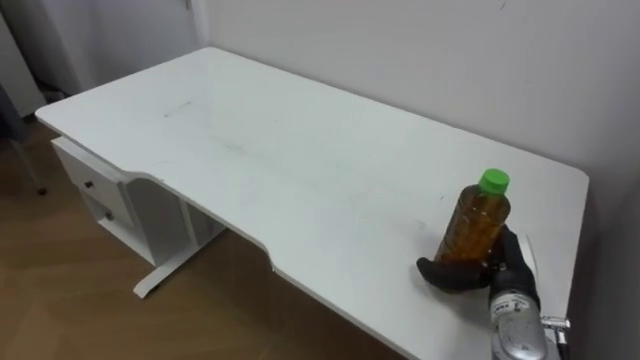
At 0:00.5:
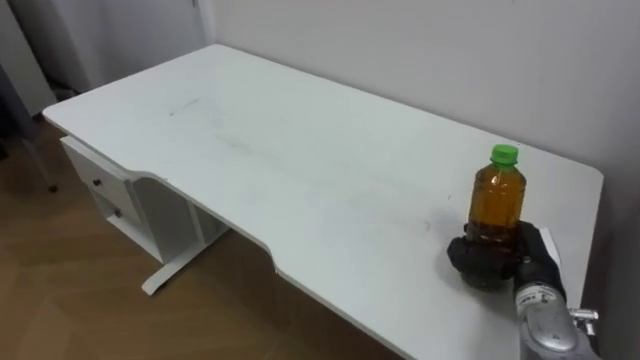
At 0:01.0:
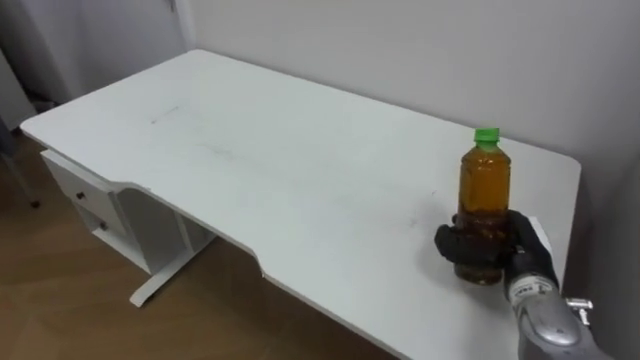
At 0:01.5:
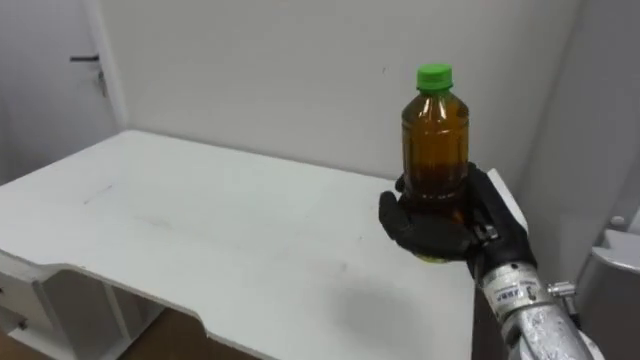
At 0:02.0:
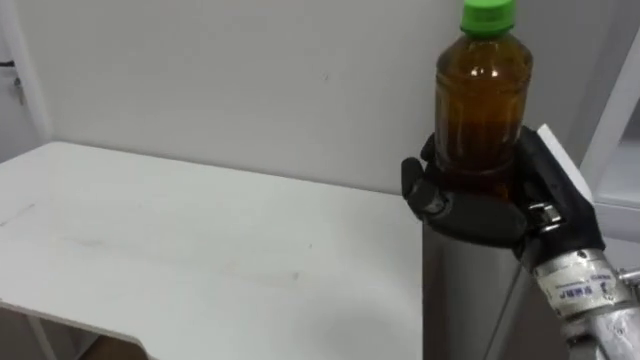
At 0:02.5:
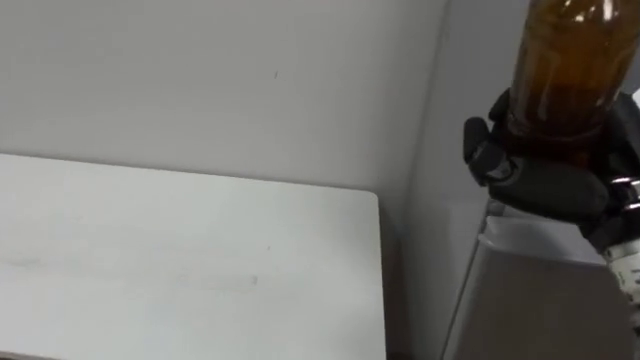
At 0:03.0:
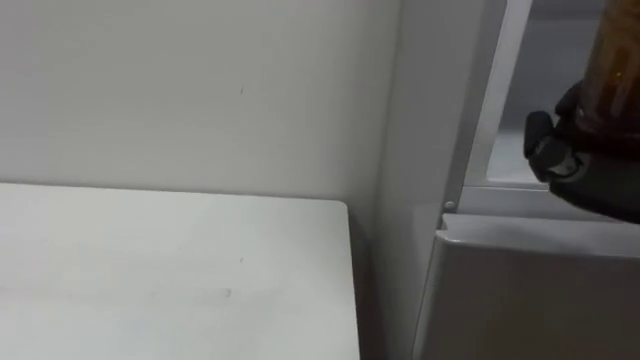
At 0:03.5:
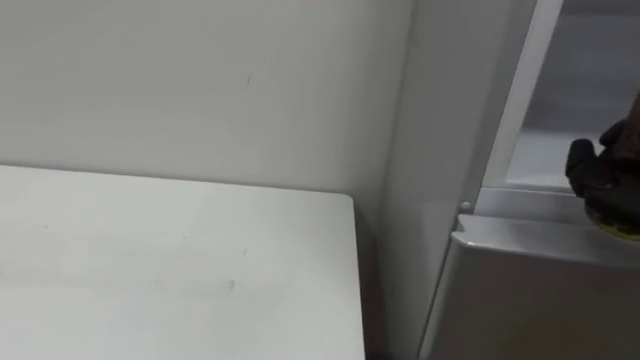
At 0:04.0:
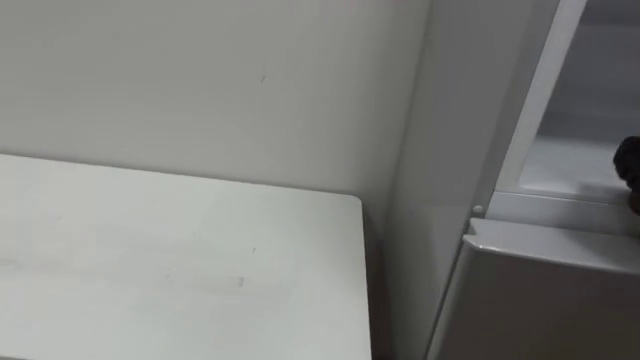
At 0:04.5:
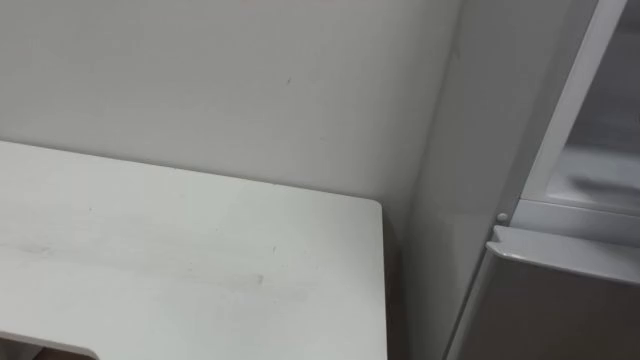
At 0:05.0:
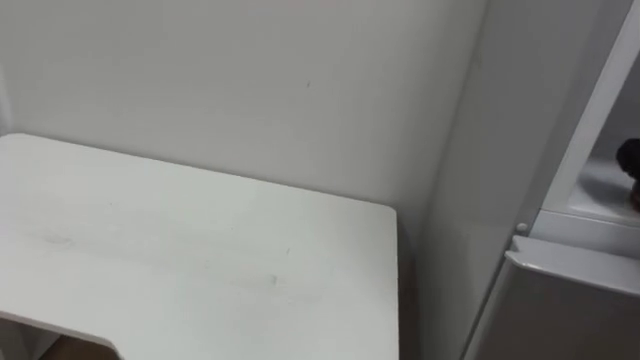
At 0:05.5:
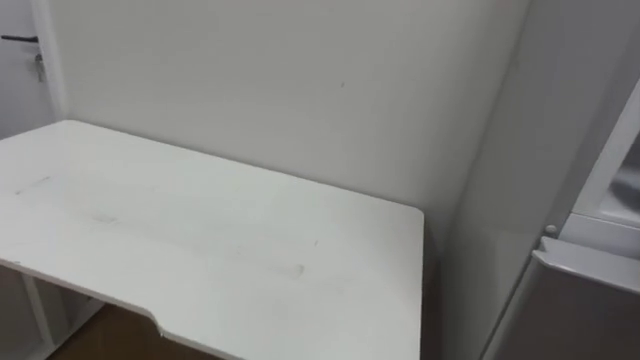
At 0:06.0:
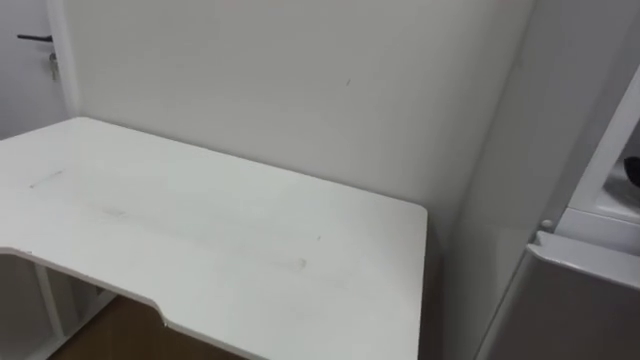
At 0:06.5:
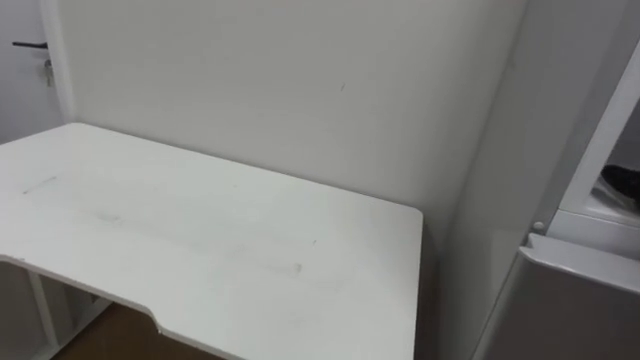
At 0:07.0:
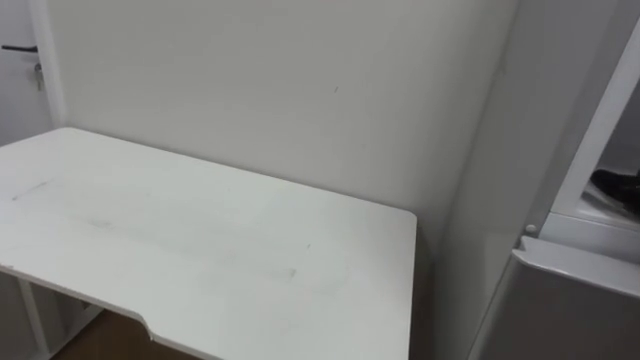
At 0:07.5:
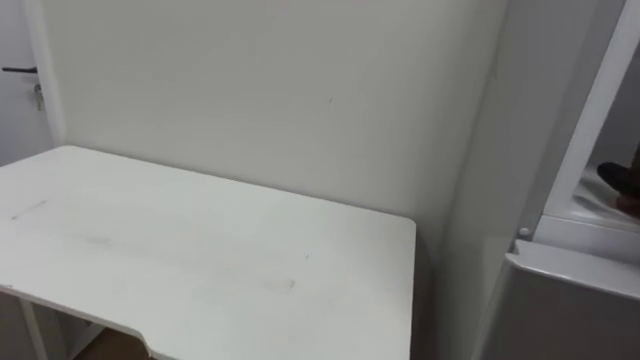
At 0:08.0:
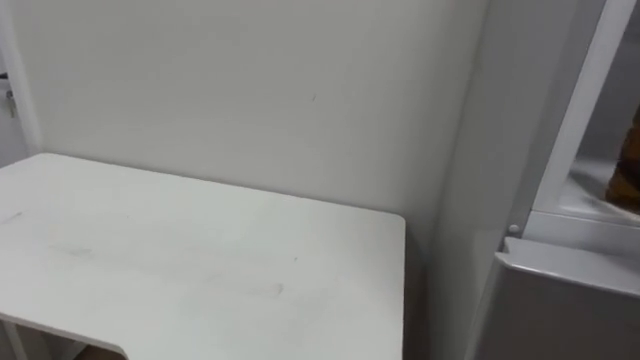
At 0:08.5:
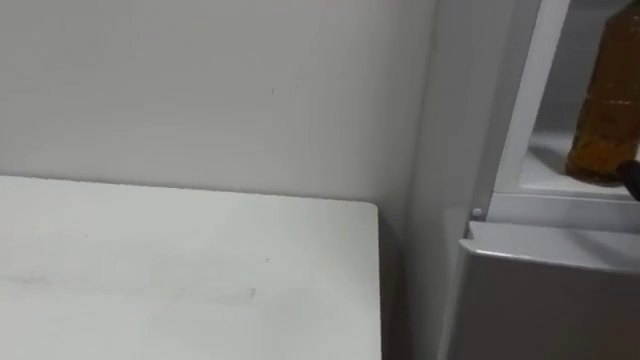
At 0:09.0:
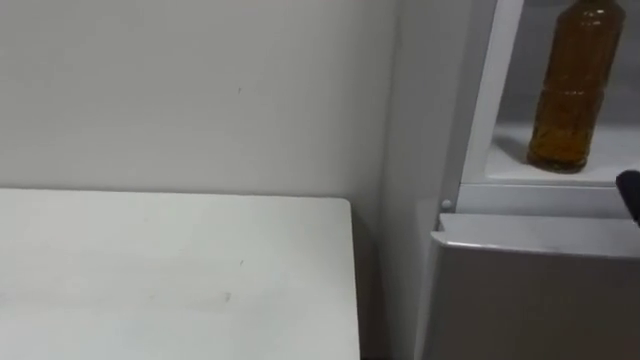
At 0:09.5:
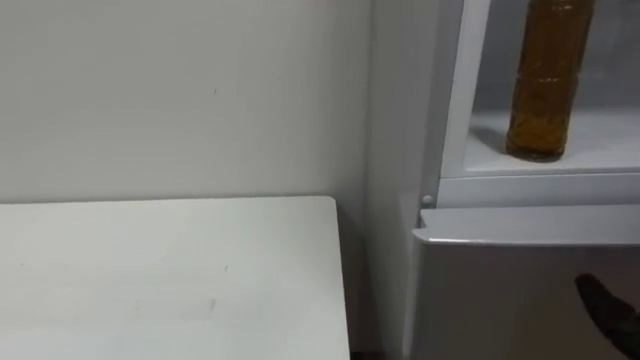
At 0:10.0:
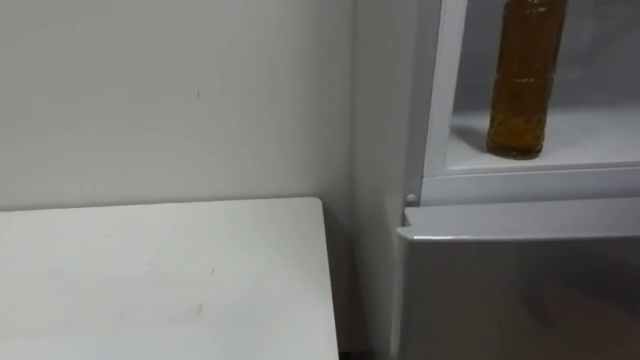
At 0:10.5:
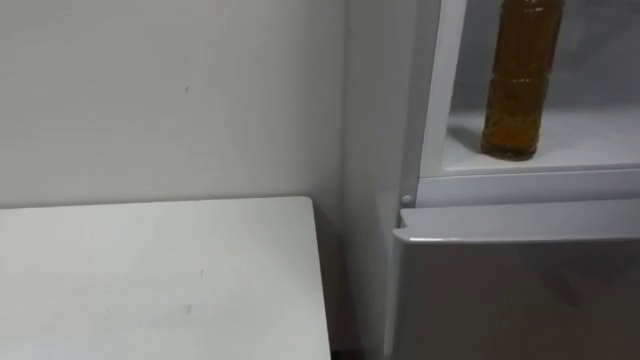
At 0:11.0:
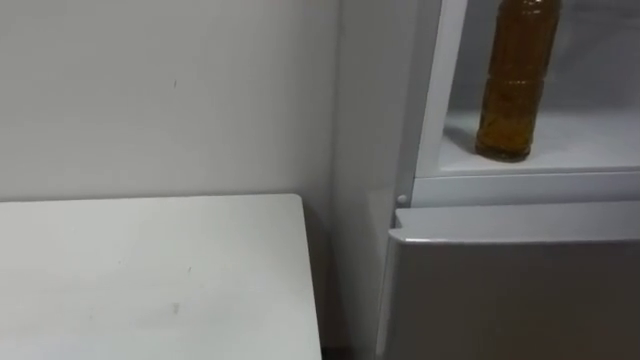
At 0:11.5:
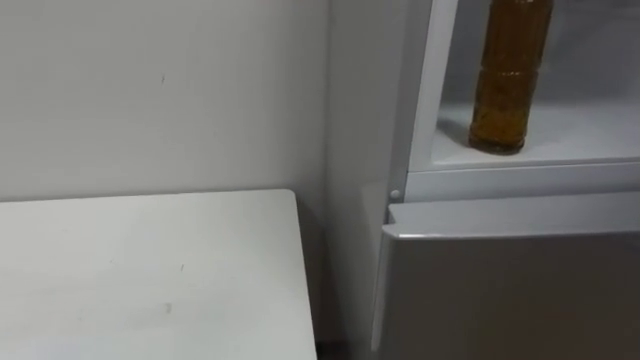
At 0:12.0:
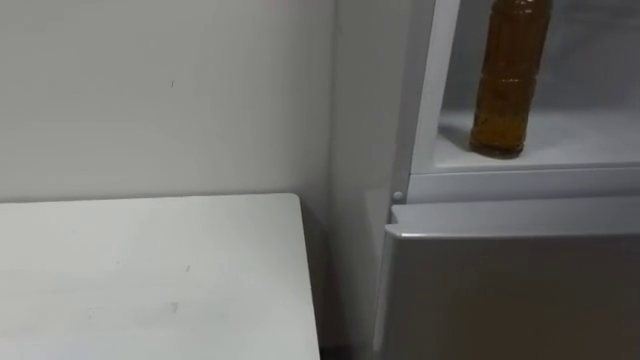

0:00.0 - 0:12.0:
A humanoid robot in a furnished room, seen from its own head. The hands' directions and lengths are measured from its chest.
Task of the whole recording: Open the upper refrigerator door, put the drink from the table into the refrigerator, and then close the refrigerator door.
0:00.0 - 0:02.0: The right hand goes some 20 cm upward and backward, and closes up.

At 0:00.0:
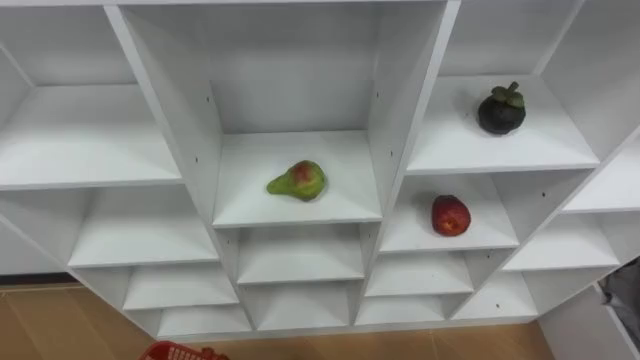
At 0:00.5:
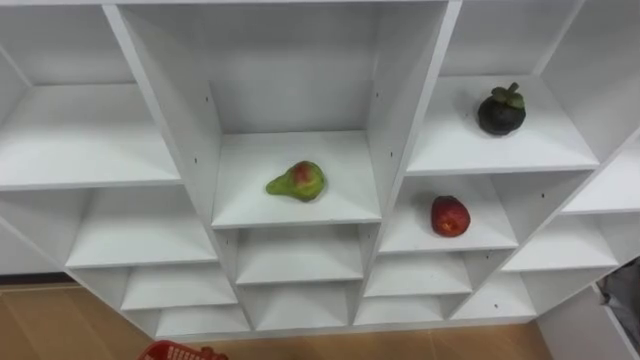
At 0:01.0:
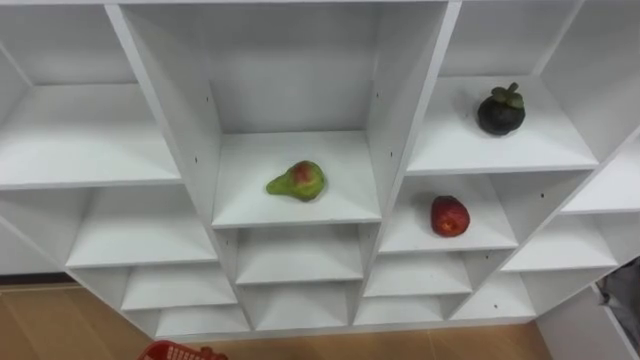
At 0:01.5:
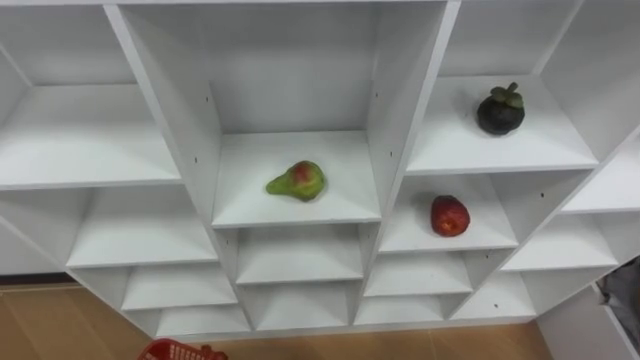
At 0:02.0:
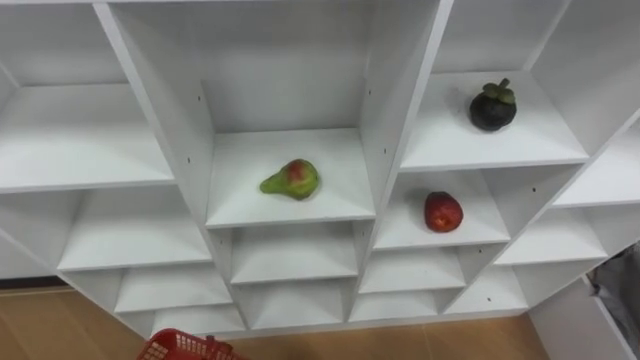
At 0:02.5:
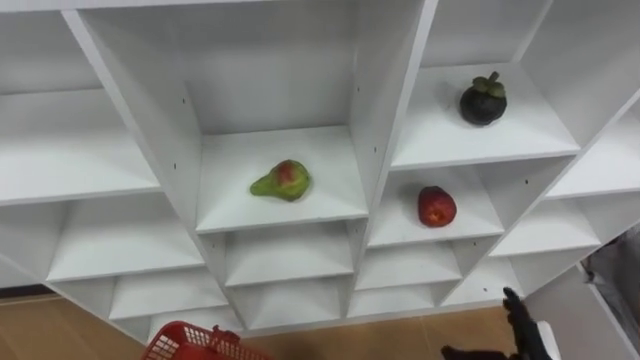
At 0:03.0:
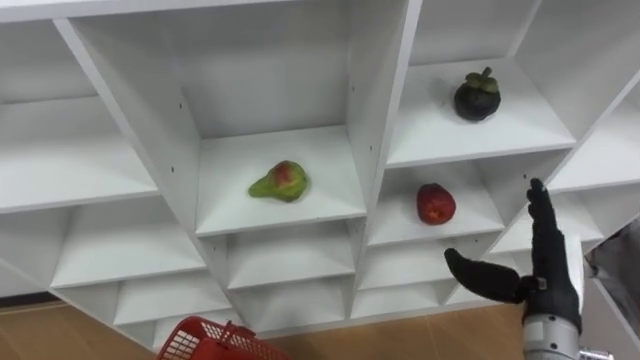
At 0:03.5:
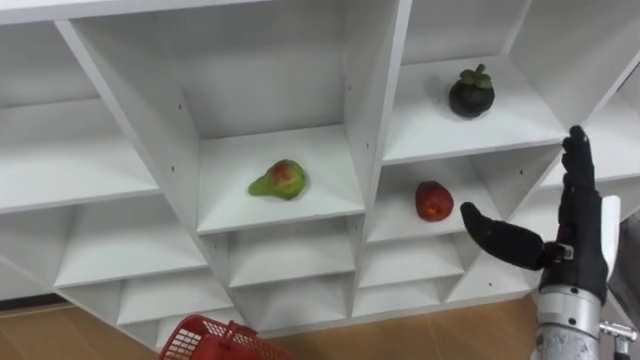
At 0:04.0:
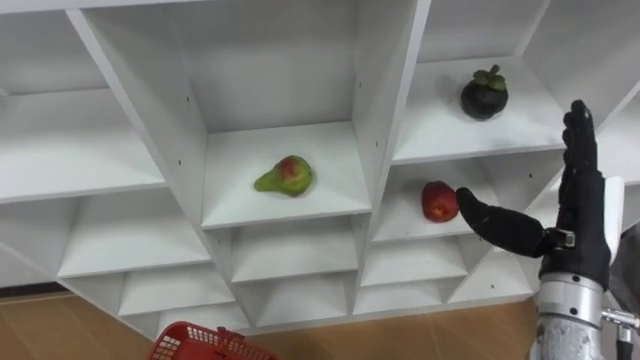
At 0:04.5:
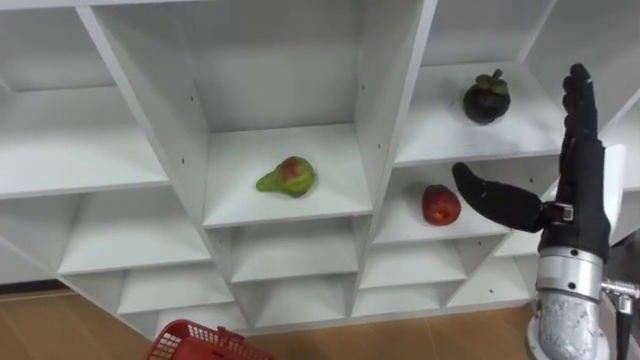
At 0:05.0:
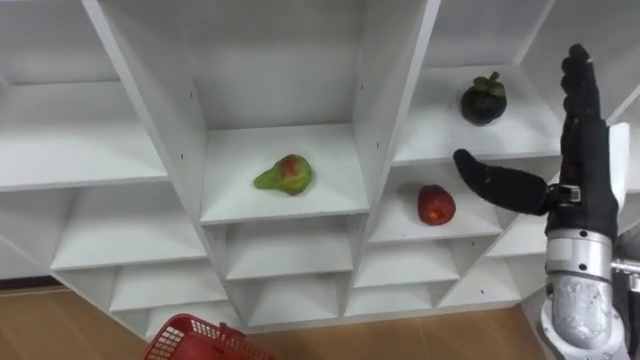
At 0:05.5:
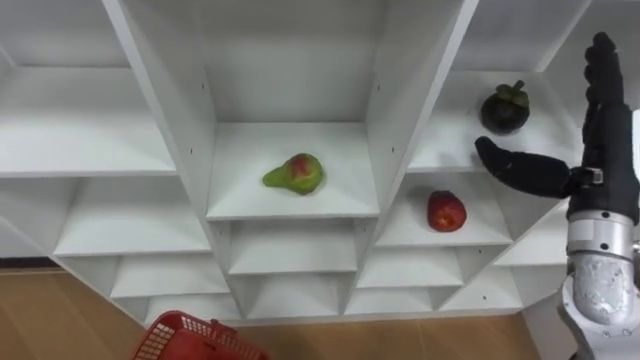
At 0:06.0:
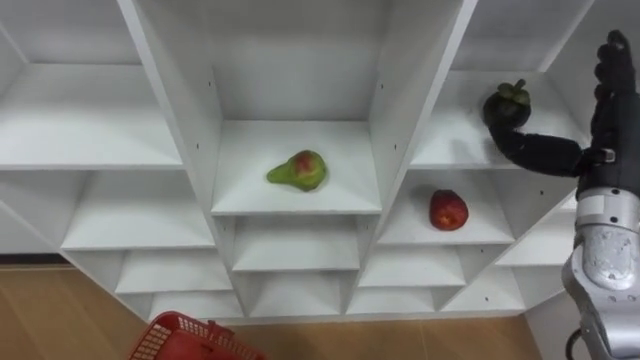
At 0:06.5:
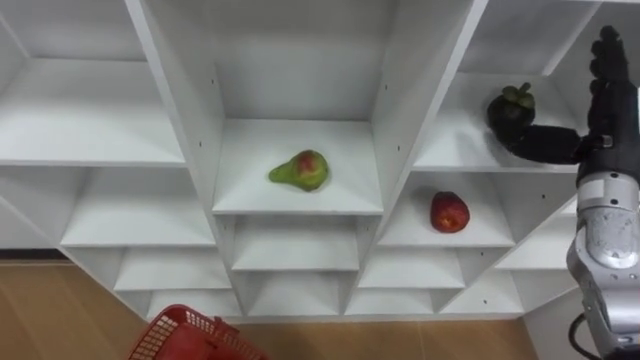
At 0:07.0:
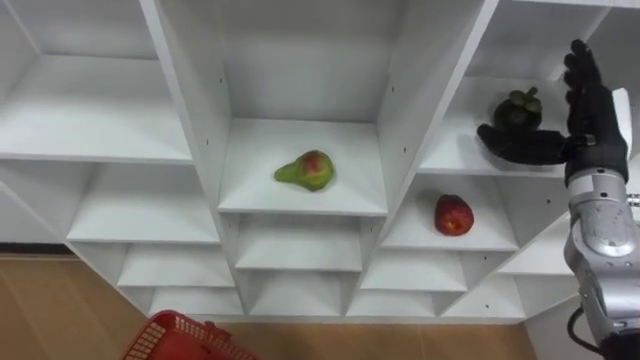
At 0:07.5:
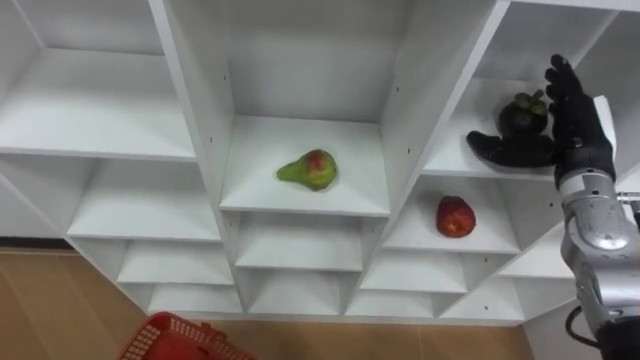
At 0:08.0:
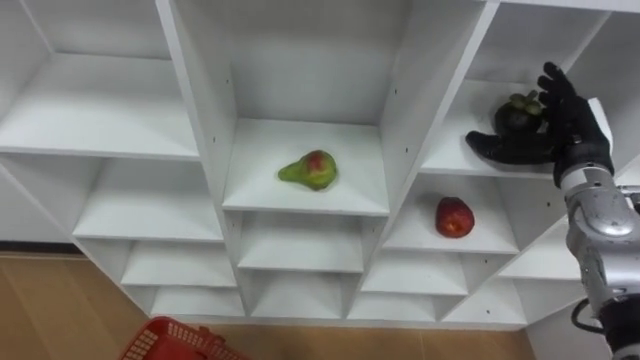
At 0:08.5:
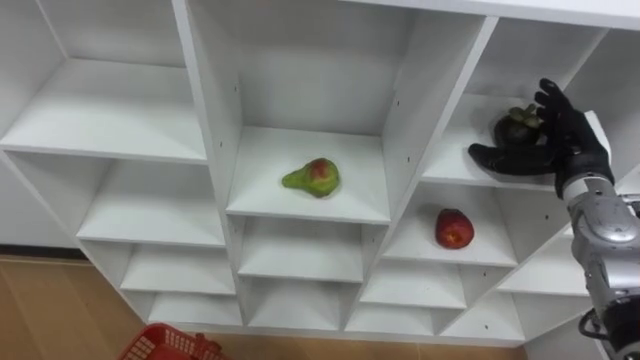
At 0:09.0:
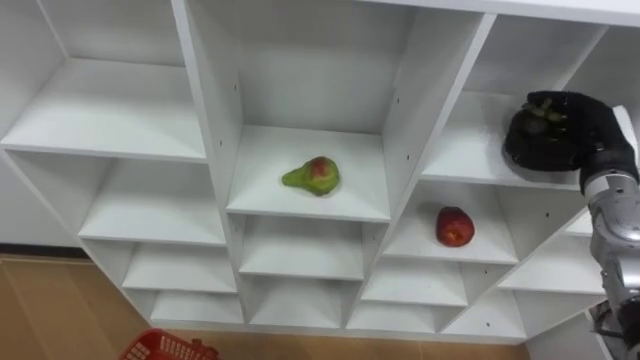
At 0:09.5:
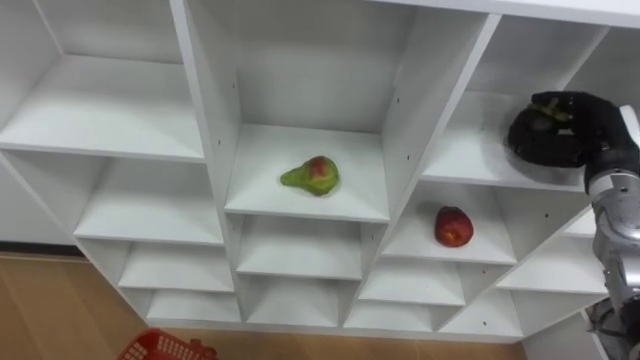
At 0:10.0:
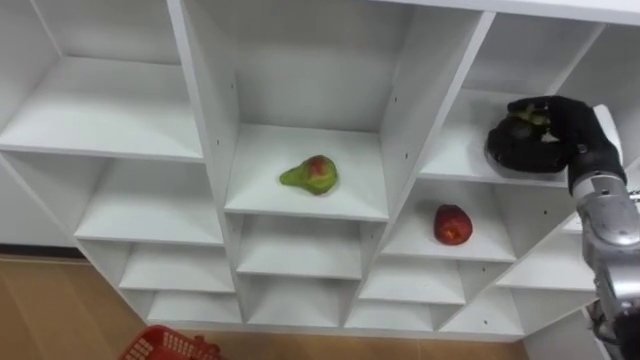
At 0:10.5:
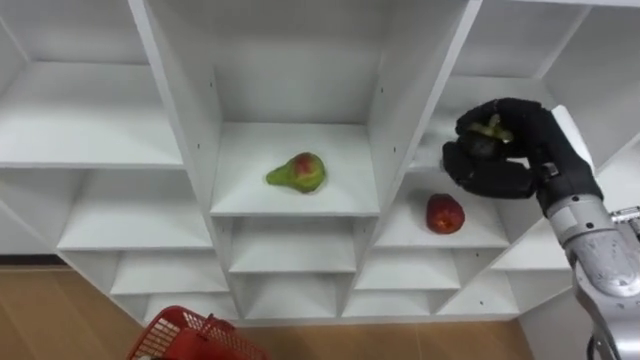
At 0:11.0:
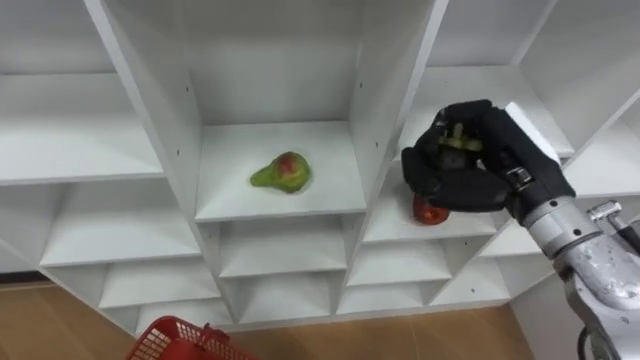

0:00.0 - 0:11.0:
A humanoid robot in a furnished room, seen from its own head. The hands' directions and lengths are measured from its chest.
Task of the whole recording: Hold the basket and collect the fruits from 3 different cells of the closet into it.
0:03.5 - 0:05.5: The right hand shifts approximately 10 cm upward and forward.
0:05.5 - 0:07.5: The right hand travels forward by roughly 5 cm.
0:07.5 - 0:09.0: The right hand closes.
0:09.0 - 0:11.0: The right hand heads to the left, upward and backward, covering about 15 cm.
